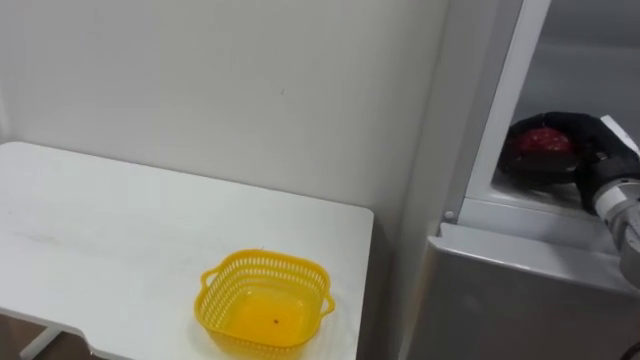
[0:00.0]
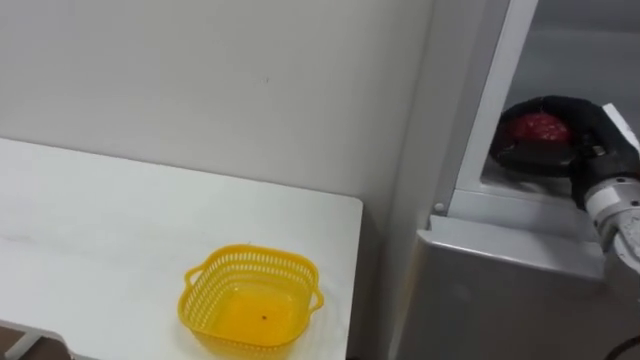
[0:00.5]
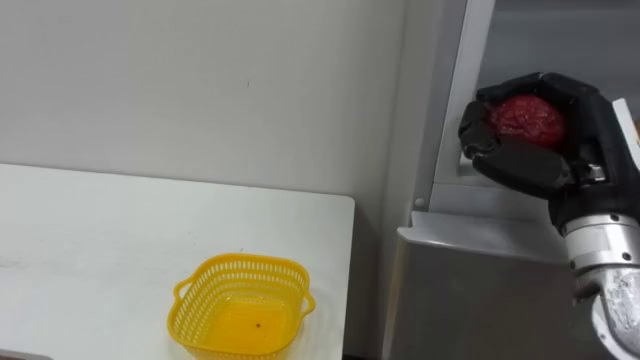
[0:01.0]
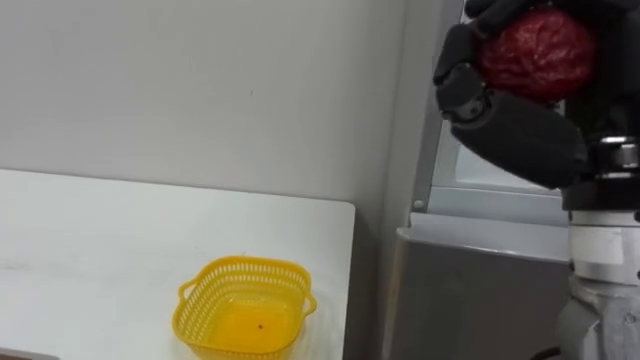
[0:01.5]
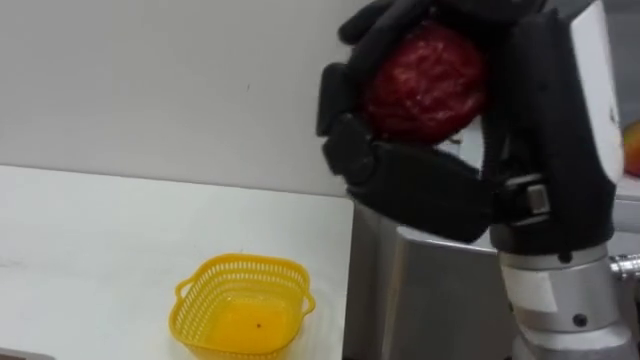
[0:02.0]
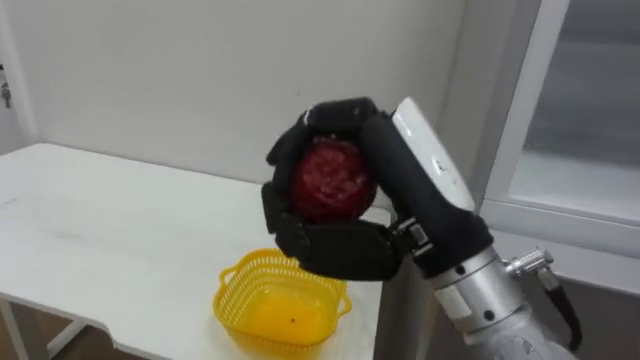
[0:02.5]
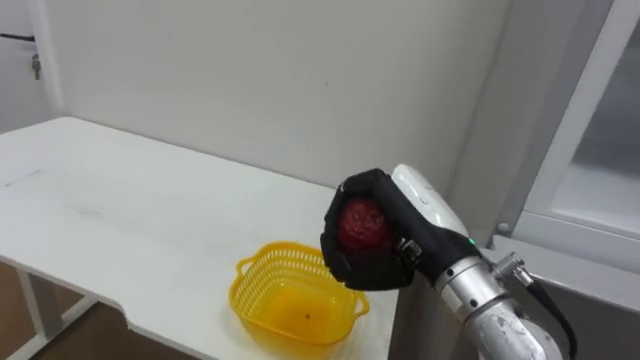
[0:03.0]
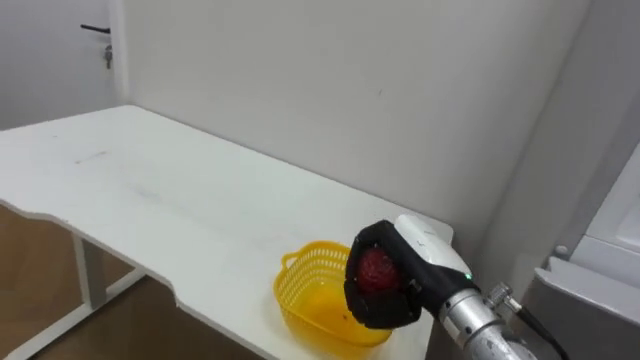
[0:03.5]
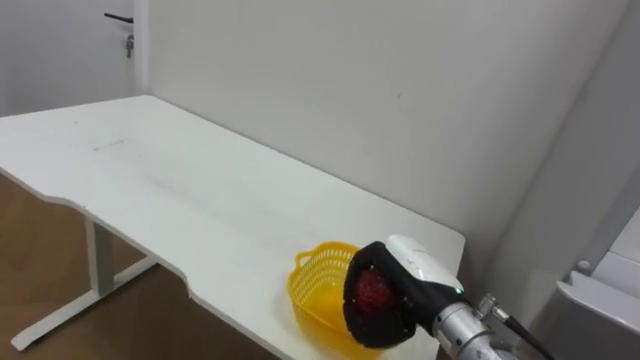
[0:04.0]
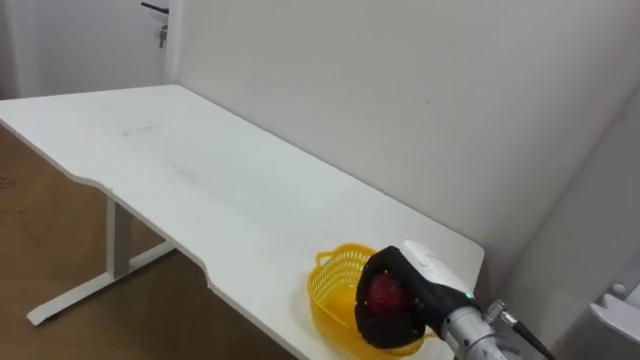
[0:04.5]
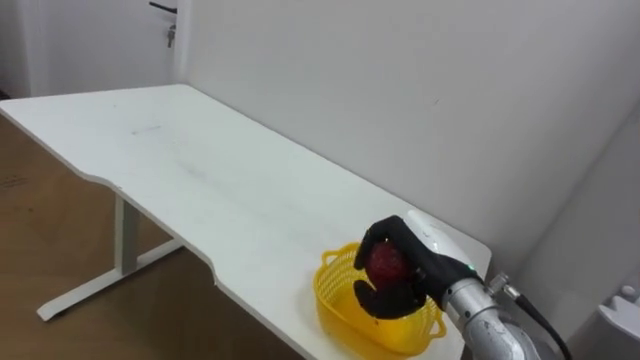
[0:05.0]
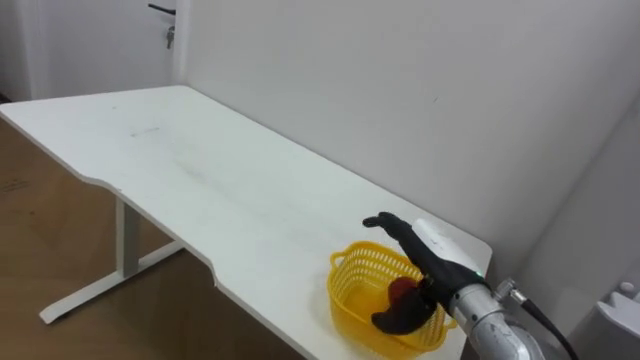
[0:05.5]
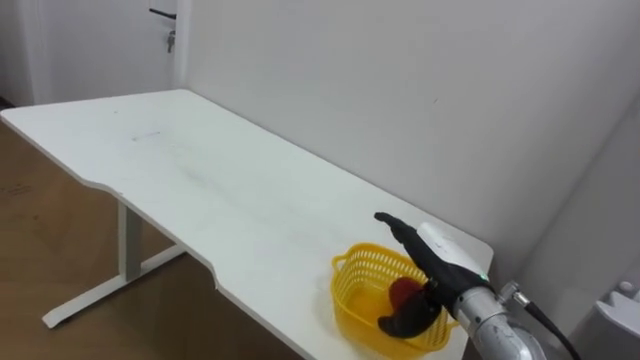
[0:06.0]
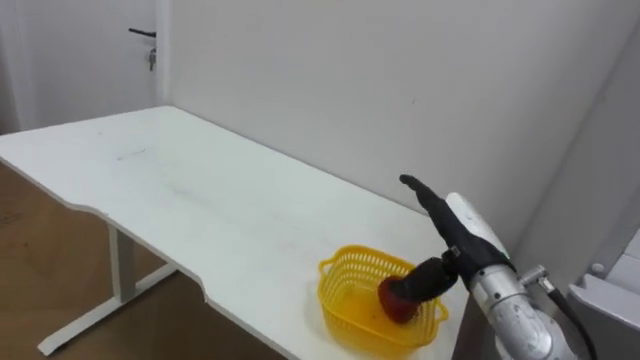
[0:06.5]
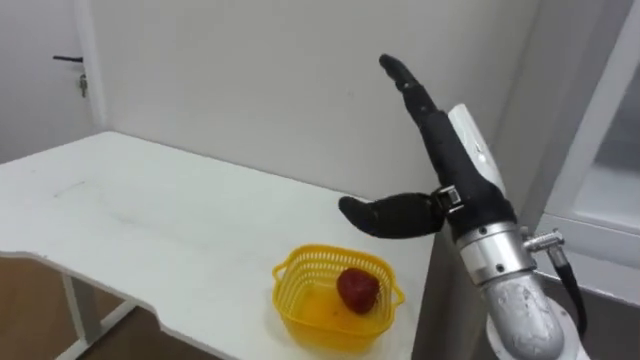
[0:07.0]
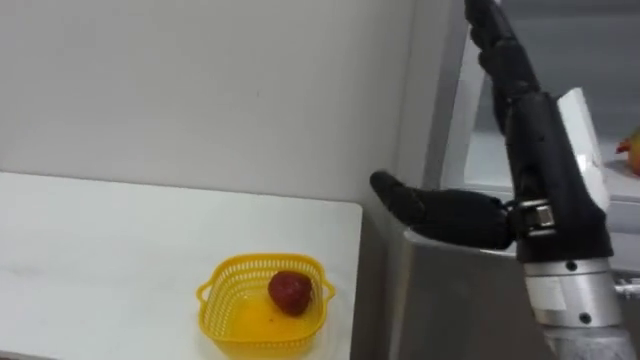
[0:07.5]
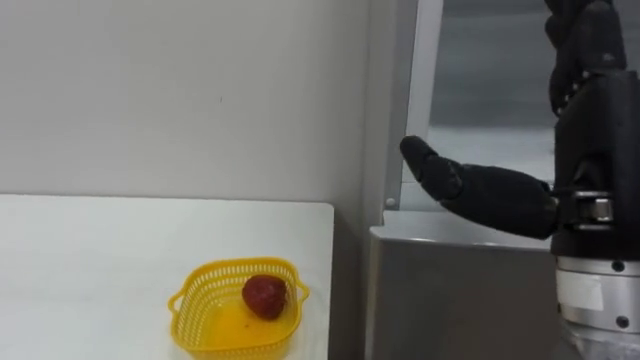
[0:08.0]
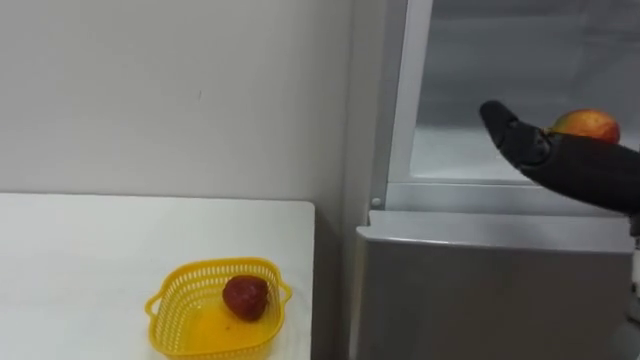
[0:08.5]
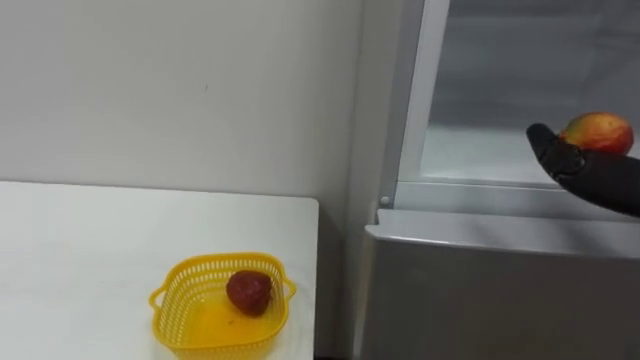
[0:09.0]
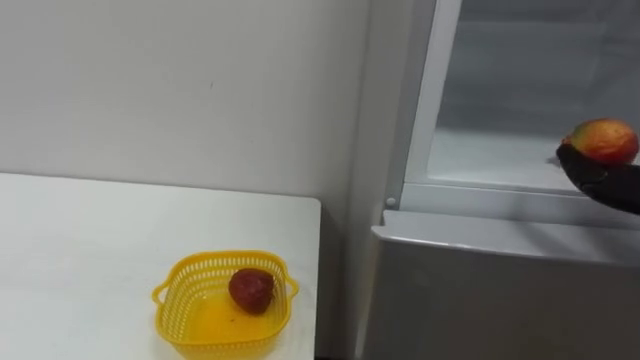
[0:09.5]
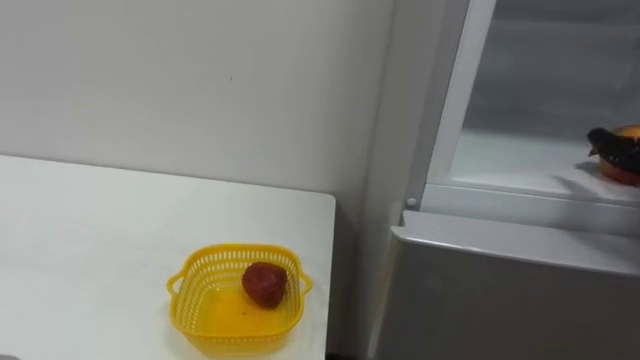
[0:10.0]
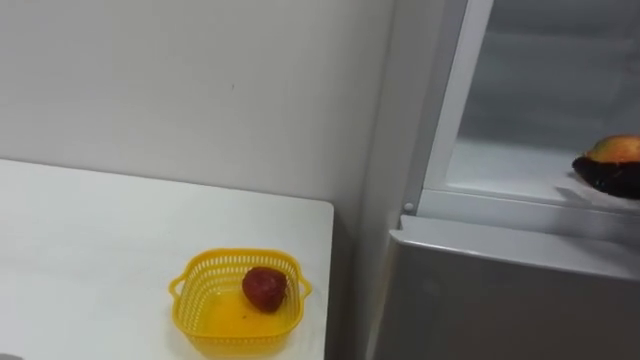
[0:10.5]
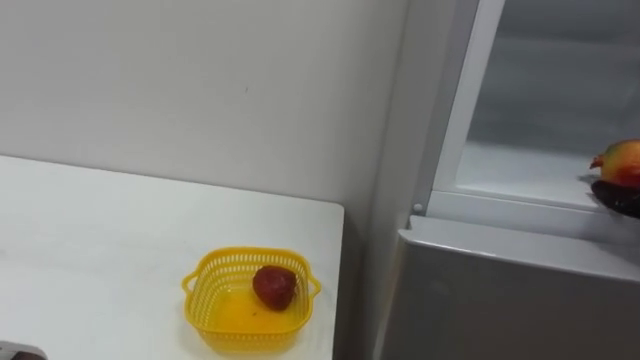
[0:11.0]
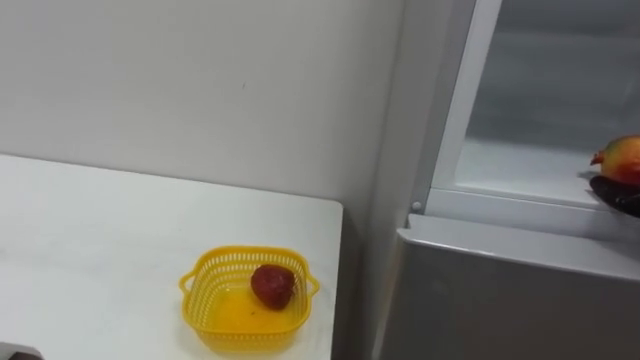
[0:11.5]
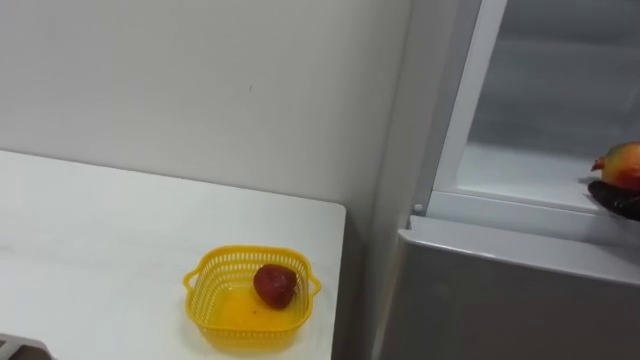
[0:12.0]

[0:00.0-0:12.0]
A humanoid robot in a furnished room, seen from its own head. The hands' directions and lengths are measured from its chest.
Task of the whole recording: Open the refrigerator door, take out the apple and the pomegranate, place them in the fruit basket on the left, and close the refrigerator door.
0:00.0 to 0:02.0: The right hand is displaced backward, to the left and upward by about 30 cm.
0:02.0 to 0:04.0: The right hand shifts some 30 cm downward and forward.
0:04.0 to 0:06.0: The right hand opens up.
0:06.0 to 0:08.0: The right hand is displaced upward and backward by approximately 25 cm.

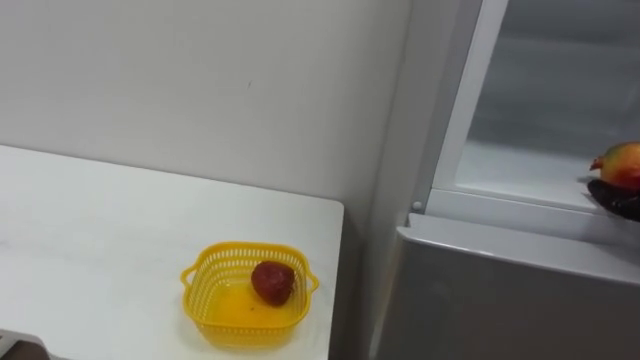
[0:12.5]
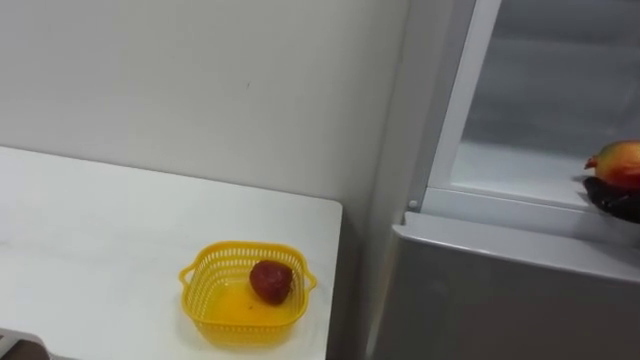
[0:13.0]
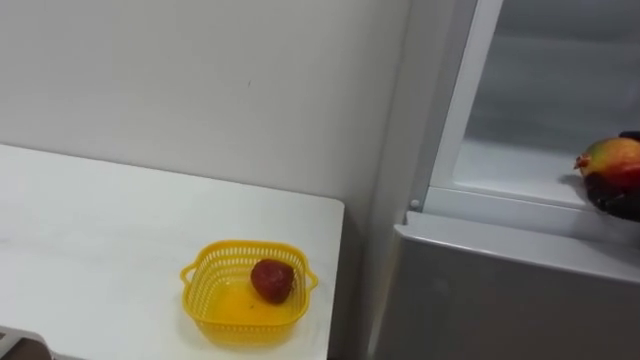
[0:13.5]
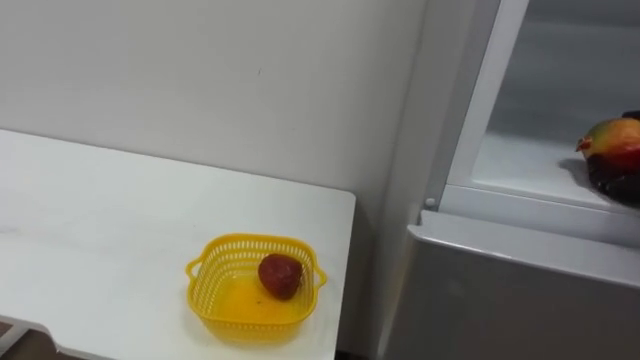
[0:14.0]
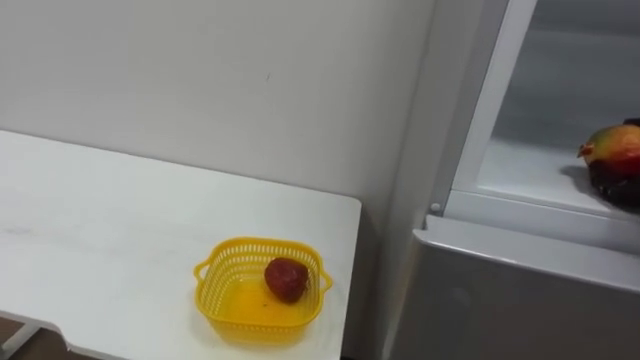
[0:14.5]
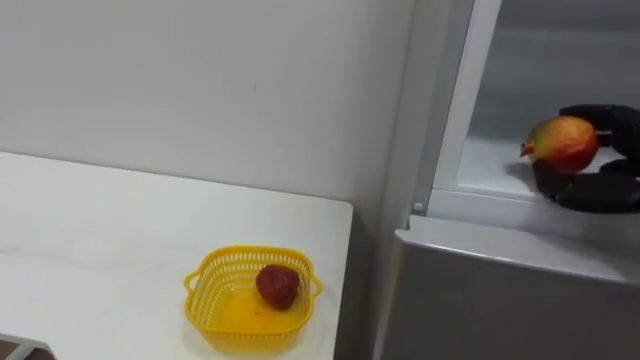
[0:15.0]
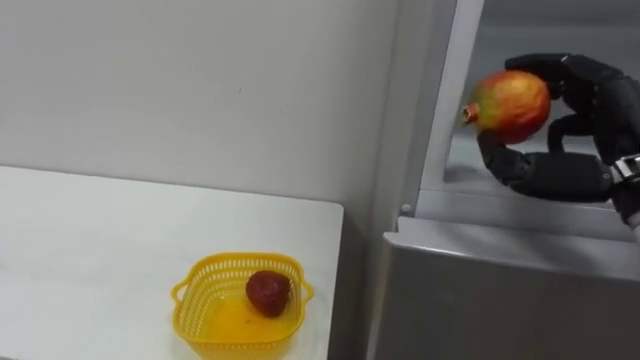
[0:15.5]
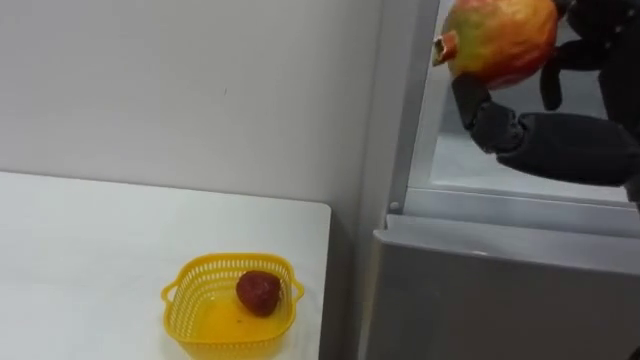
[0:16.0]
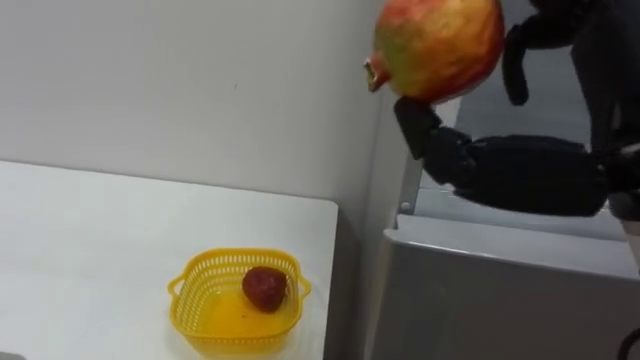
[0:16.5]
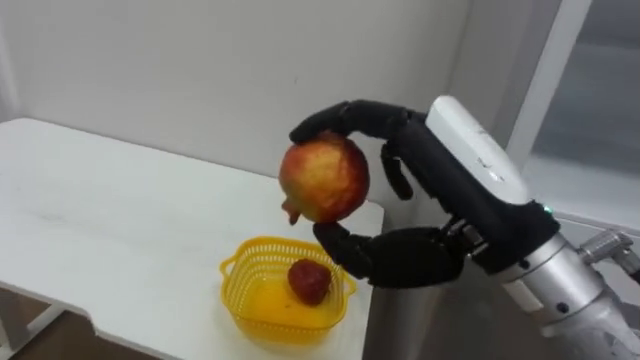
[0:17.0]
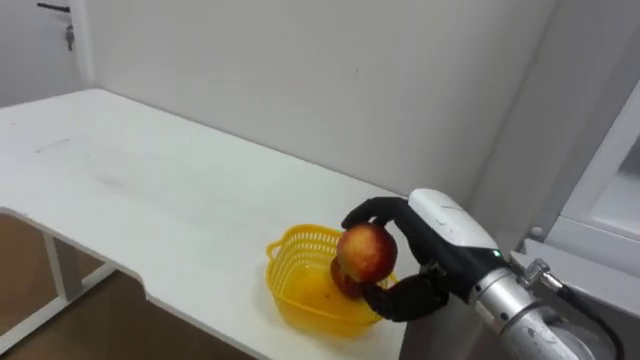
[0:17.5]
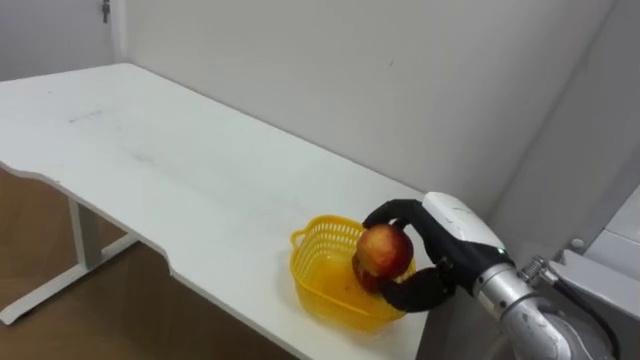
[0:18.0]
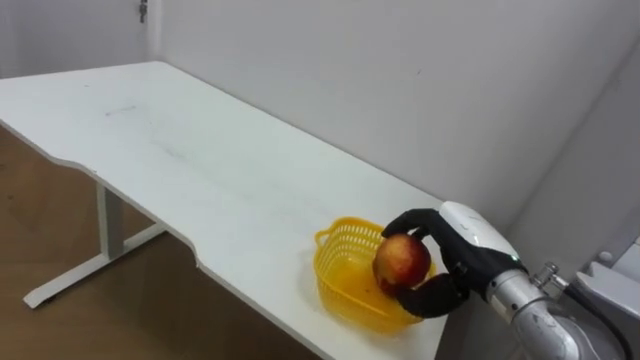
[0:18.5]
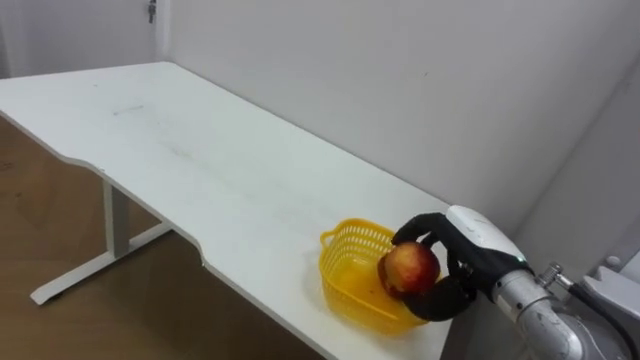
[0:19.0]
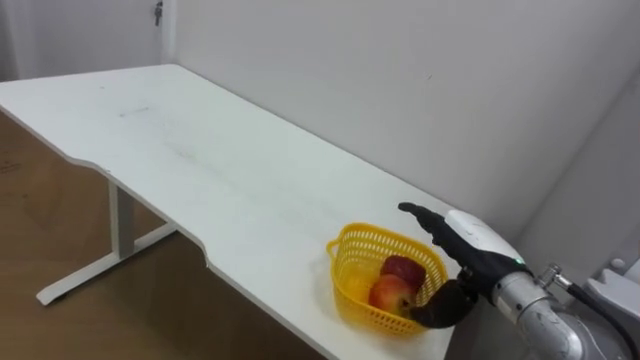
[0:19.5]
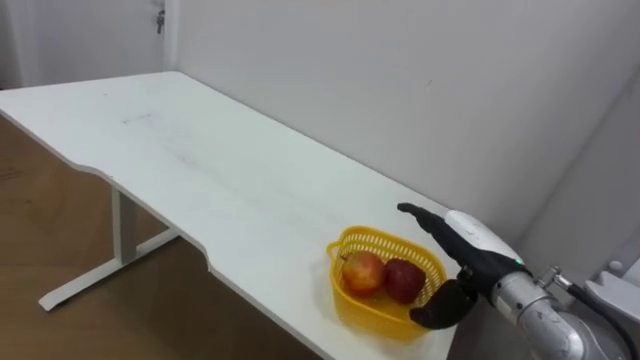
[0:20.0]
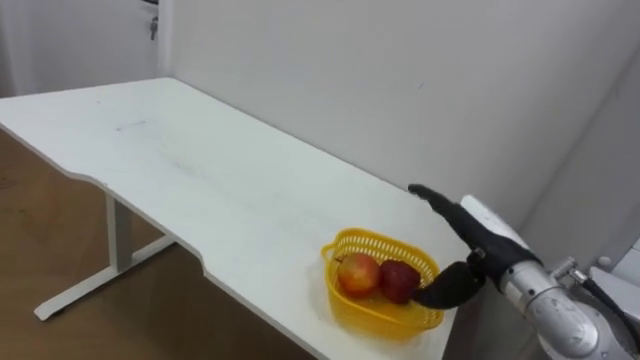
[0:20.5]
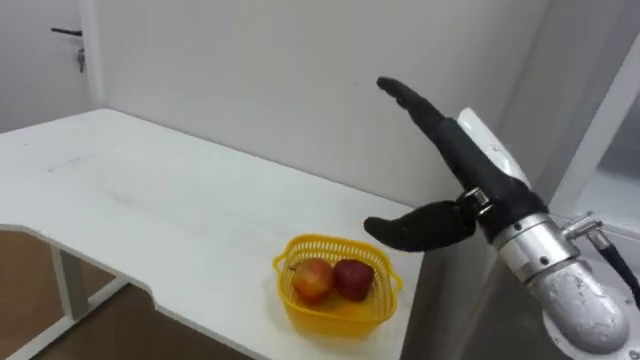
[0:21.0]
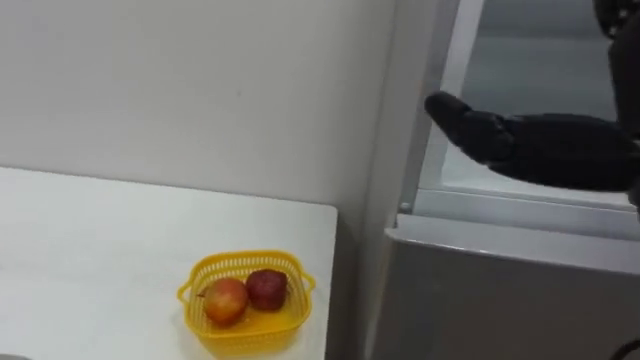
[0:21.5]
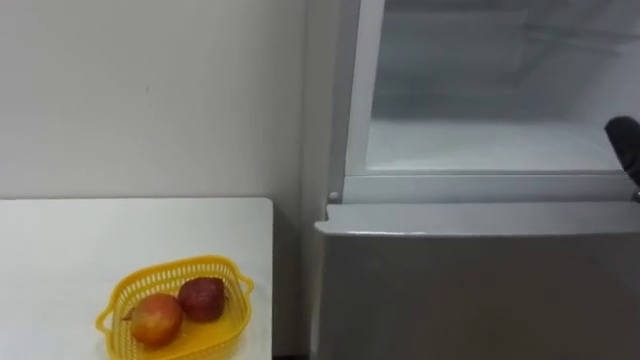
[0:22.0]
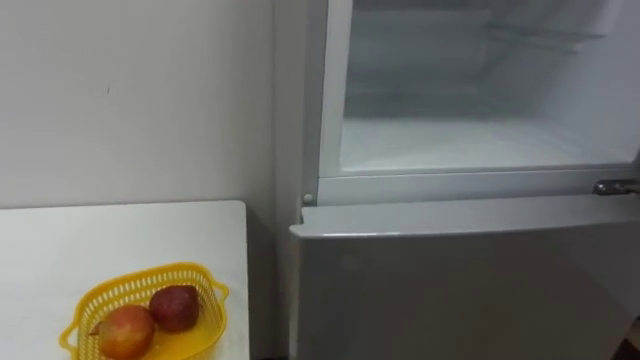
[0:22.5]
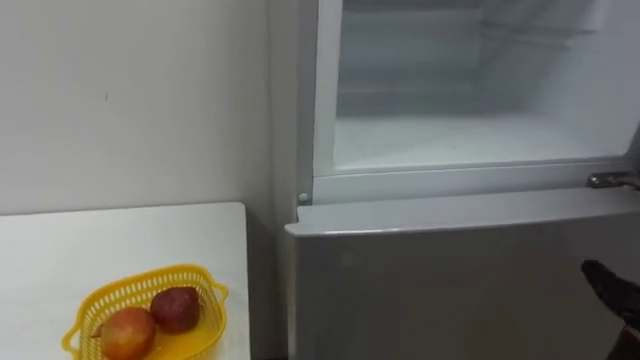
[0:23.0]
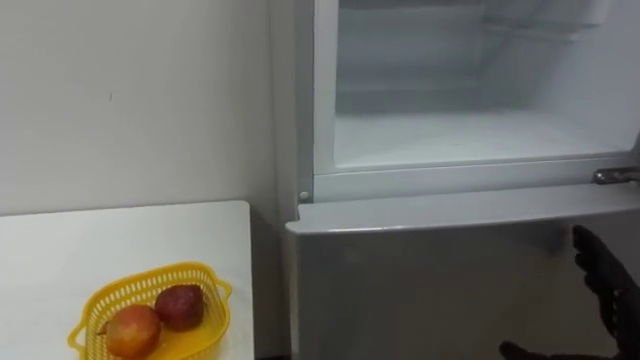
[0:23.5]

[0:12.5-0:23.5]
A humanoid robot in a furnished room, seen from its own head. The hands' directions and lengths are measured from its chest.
Task of the whole recording: Open the refrigerator door, take out the apple and the pomegranate, place them in the fruit basket on the left, and close the refrigerator door.
0:16.0 to 0:18.0: The right hand is displaced downward, forward and to the left by roughly 25 cm.
0:18.0 to 0:20.0: The right hand moves roughly 5 cm, and opens up.
0:20.0 to 0:21.5: The right hand moves upward and backward, roughly 30 cm.
